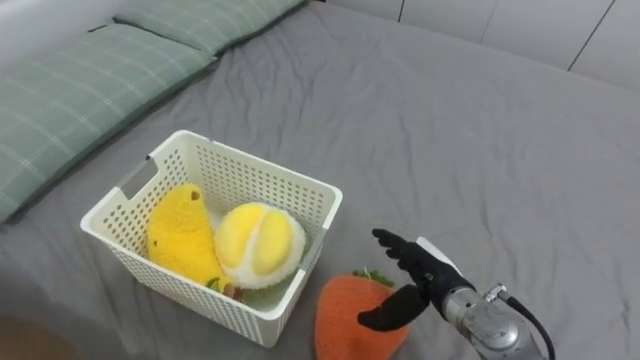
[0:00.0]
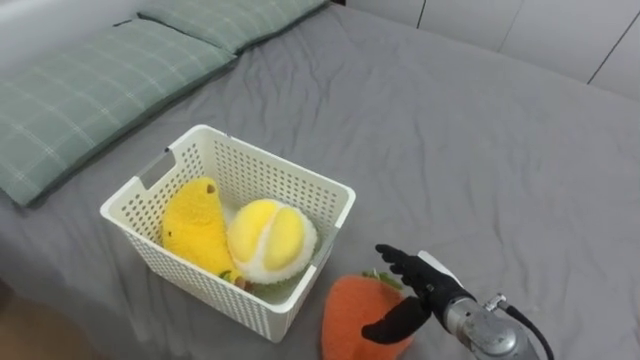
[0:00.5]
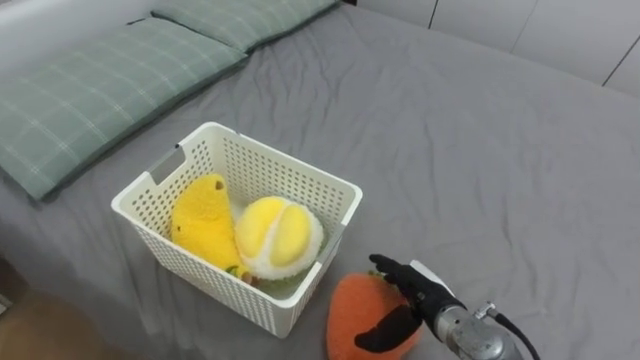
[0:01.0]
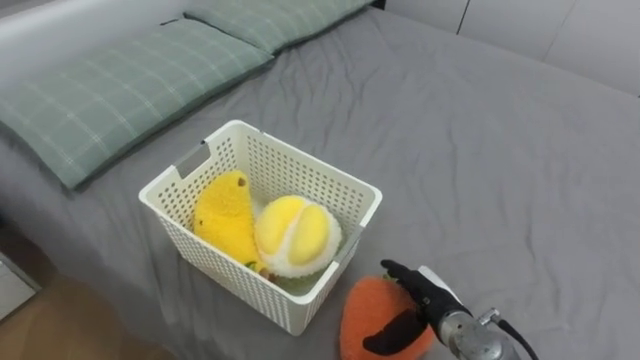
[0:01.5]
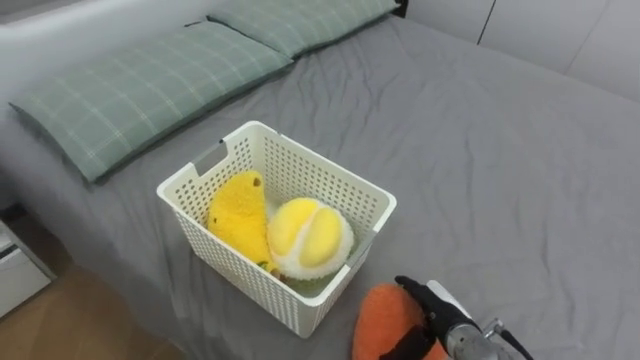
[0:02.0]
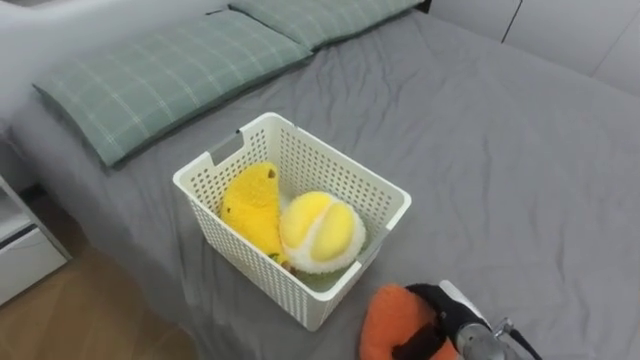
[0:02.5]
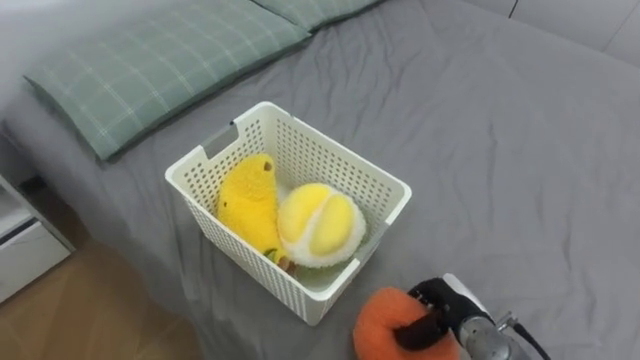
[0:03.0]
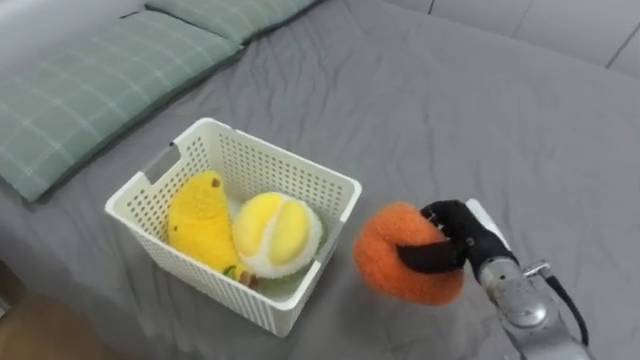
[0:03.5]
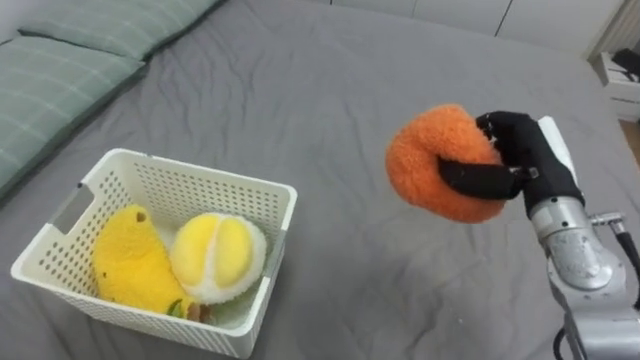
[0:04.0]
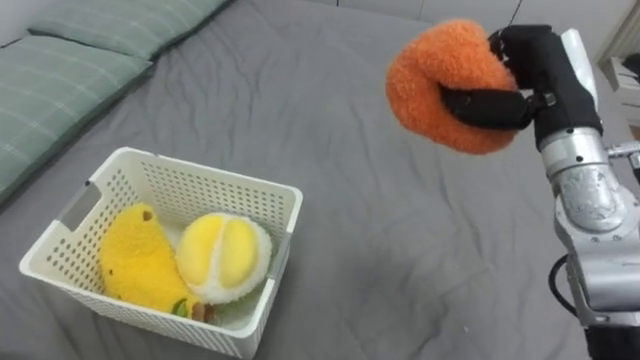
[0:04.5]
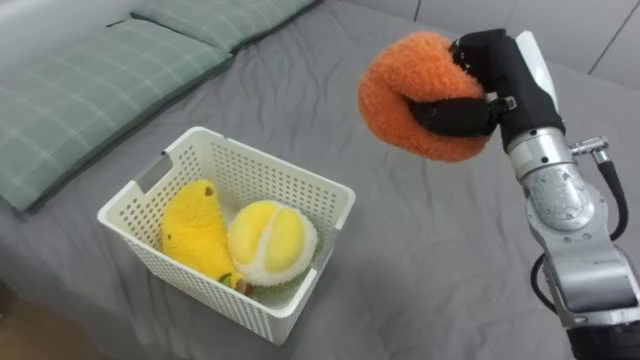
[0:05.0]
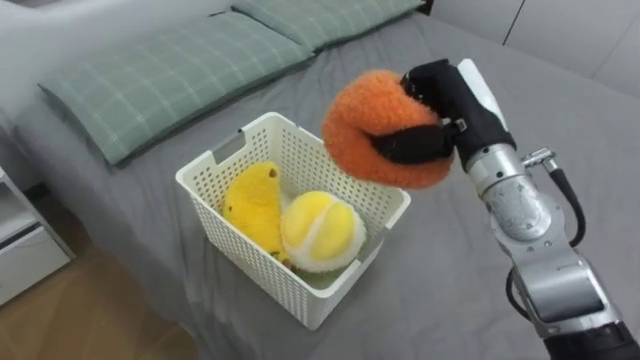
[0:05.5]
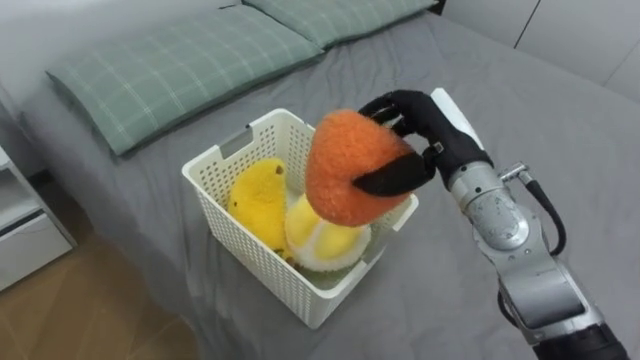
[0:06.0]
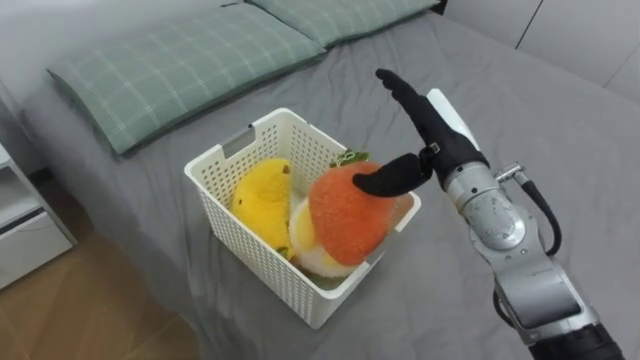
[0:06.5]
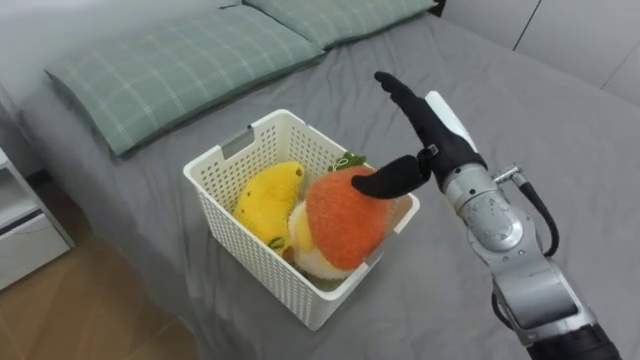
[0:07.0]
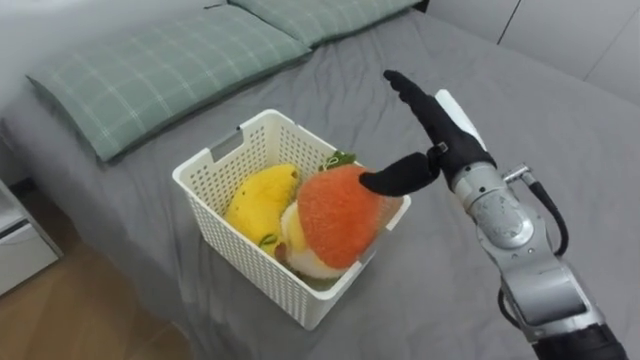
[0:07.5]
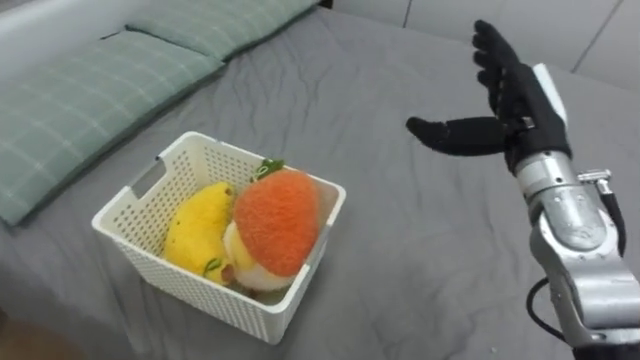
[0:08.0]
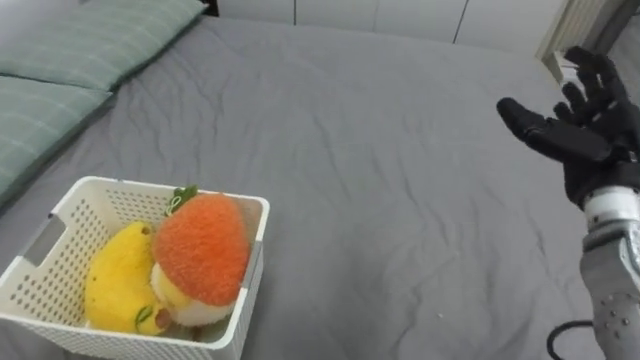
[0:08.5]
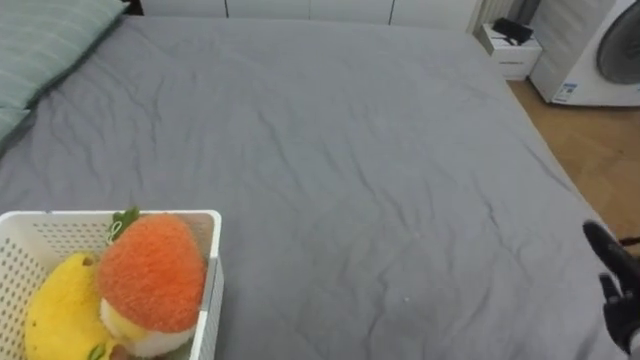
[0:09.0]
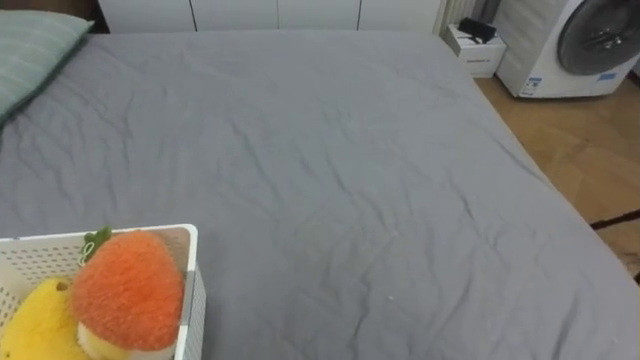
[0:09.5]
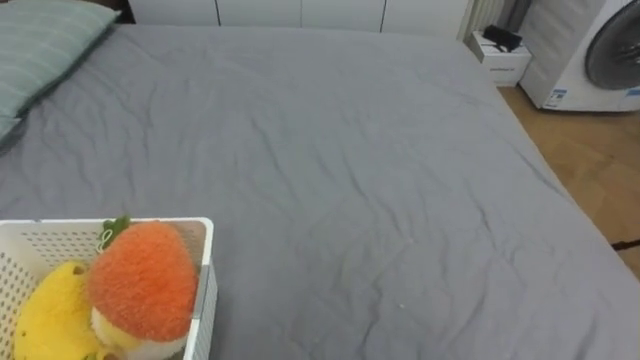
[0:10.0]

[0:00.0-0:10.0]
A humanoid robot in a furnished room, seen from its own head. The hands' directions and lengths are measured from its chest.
Task of the whole recording: Put the toys on the bed into the basket on the left.
0:00.0 to 0:02.0: The right hand shifts about 5 cm downward.
0:02.0 to 0:04.0: The right hand goes approximately 25 cm upward and forward, and closes its fingers.
0:04.0 to 0:06.0: The right hand travels to the left by approximately 10 cm.
0:06.0 to 0:08.0: The right hand is displaced to the right by roughly 5 cm, and opens up.

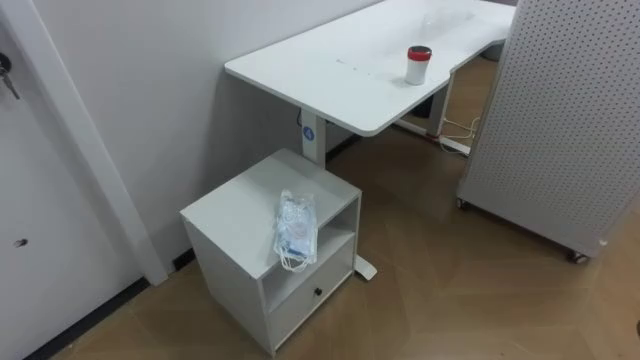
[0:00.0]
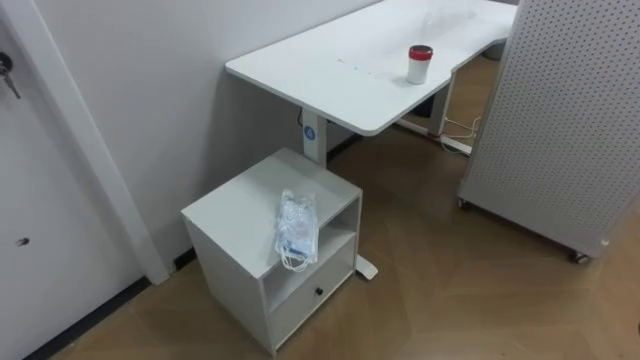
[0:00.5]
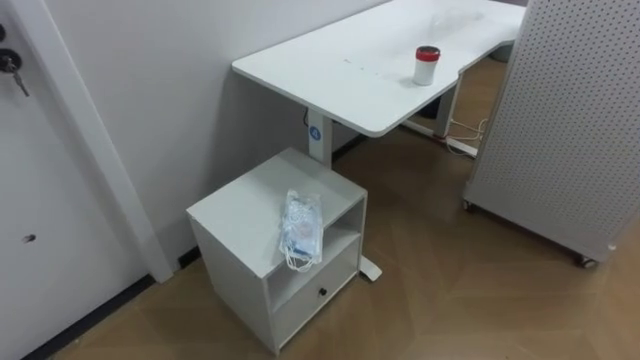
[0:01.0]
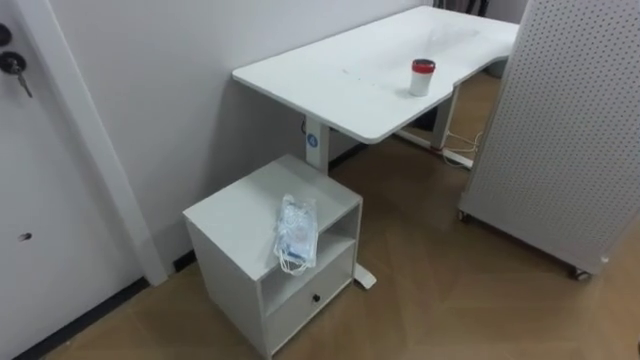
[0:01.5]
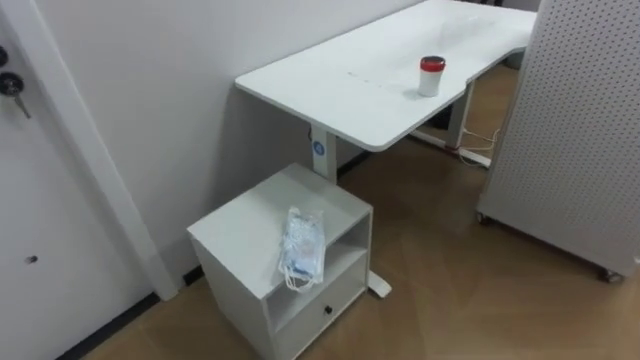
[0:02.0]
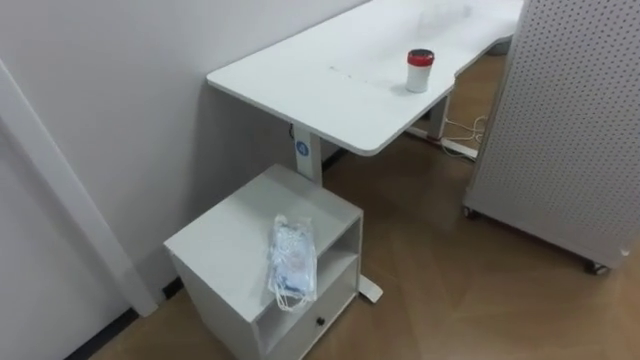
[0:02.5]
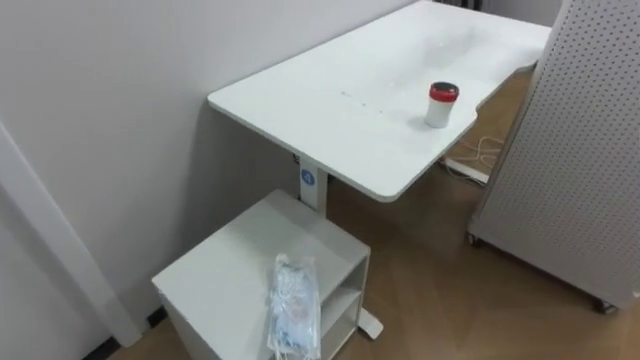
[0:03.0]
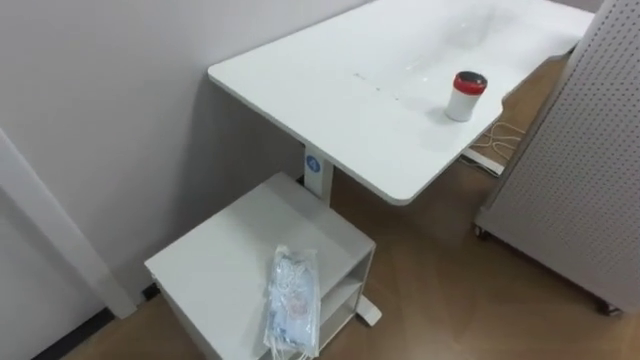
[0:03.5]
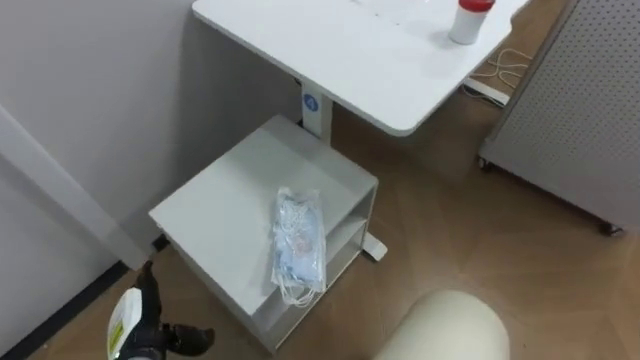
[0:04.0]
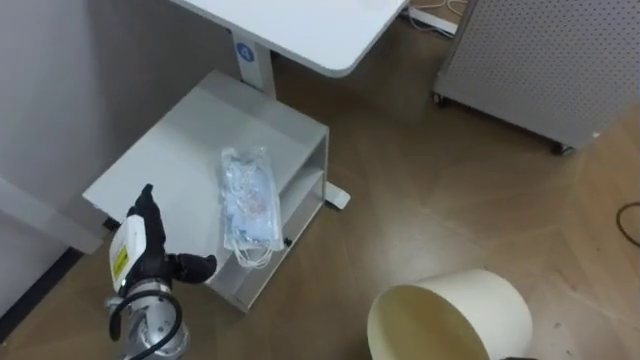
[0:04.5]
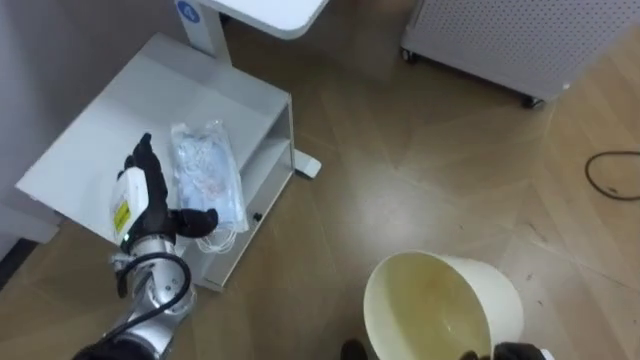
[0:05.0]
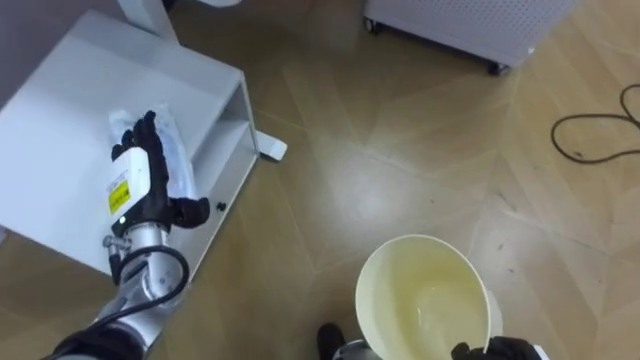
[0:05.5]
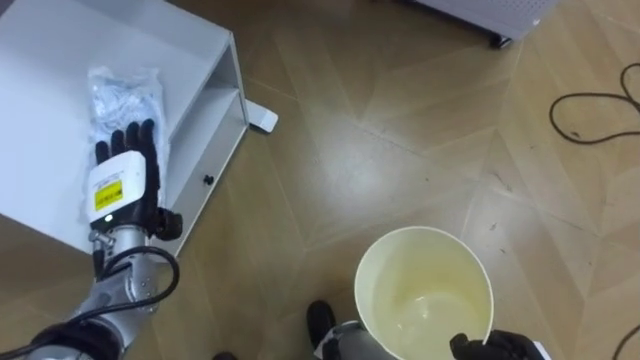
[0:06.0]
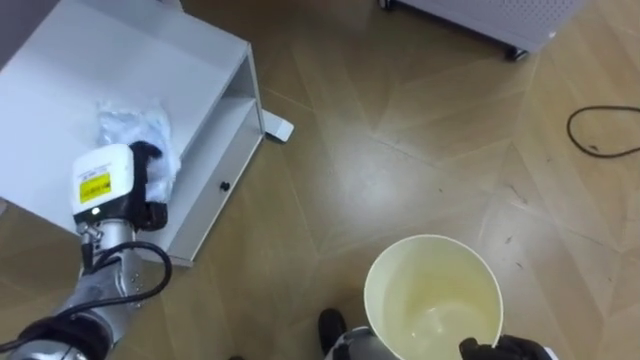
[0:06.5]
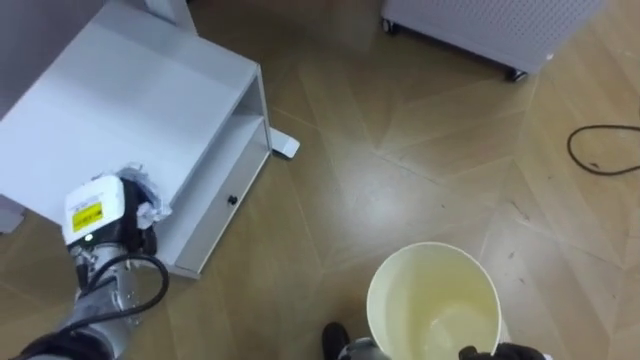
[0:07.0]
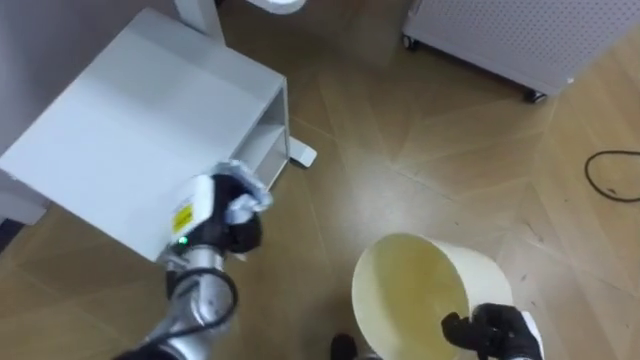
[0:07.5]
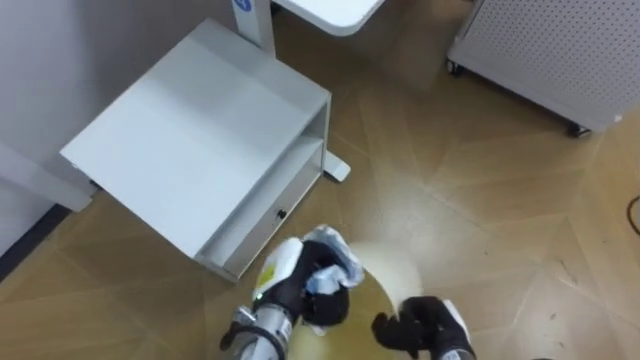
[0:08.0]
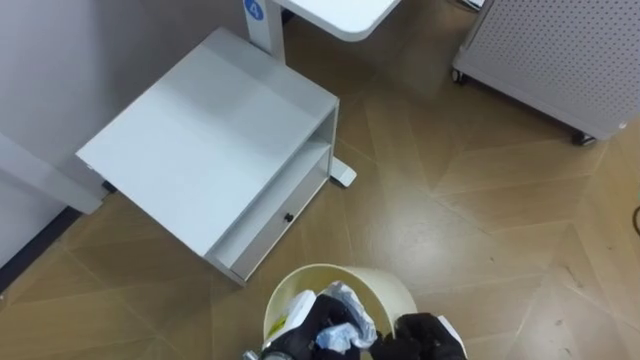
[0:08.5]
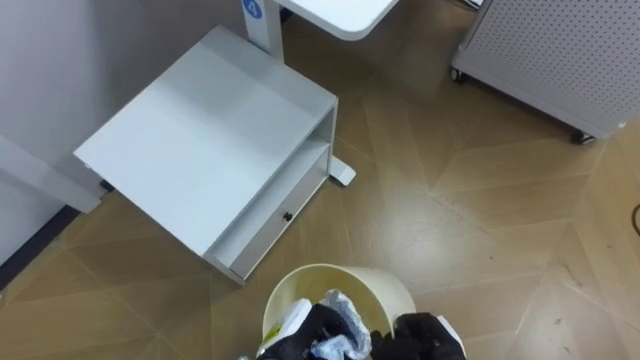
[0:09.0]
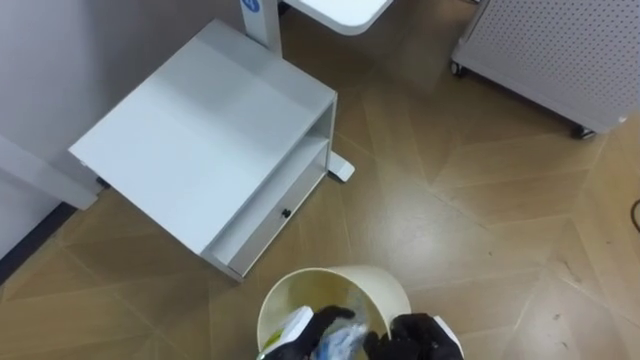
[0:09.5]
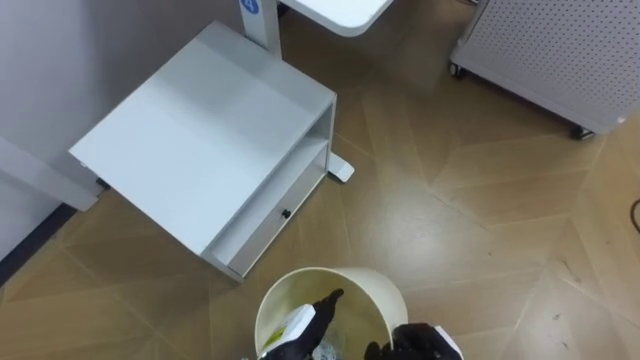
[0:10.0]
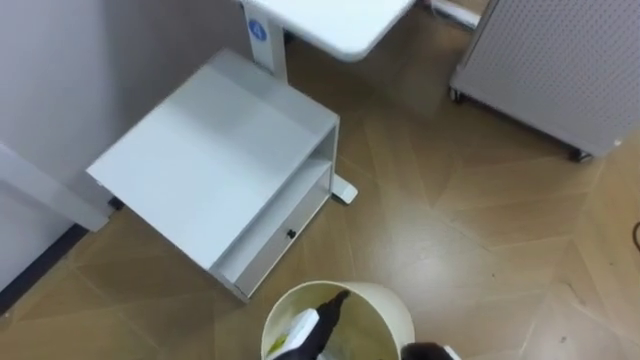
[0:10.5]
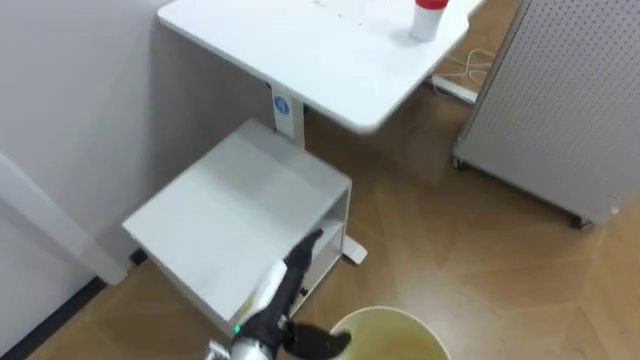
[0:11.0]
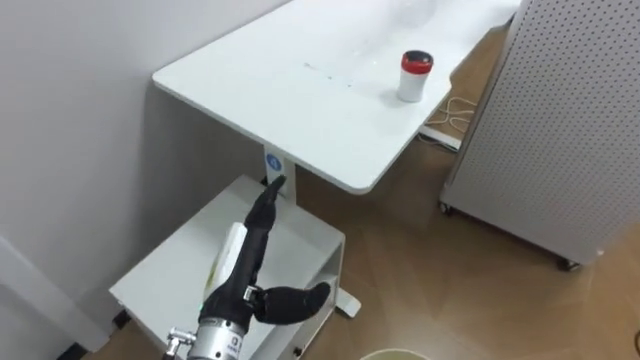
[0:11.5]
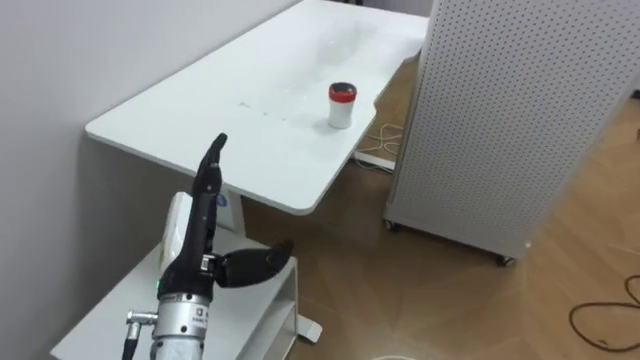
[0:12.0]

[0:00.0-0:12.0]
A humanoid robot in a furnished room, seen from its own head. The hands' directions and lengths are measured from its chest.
Task of the whole recording: Pick up the light blue package, the candy box, and the dark blue package separately, and put them into the trash can held in your right hand.
0:04.0 to 0:06.0: The left hand travels upward and forward by some 20 cm.
0:06.0 to 0:08.0: The left hand goes approximately 20 cm to the right and downward, and closes up.
0:08.0 to 0:10.0: The left hand shifts about 10 cm downward and backward, and opens its fingers.
0:10.0 to 0:12.0: The left hand travels upward and to the left by about 20 cm.
